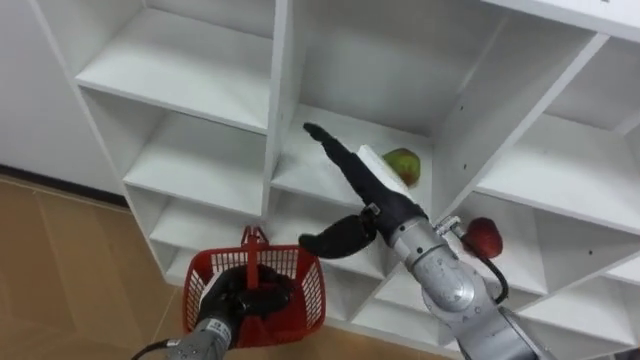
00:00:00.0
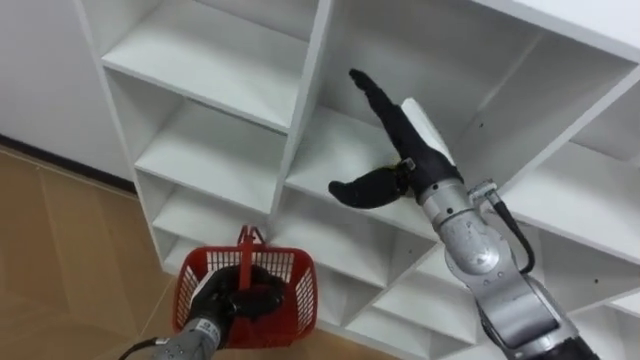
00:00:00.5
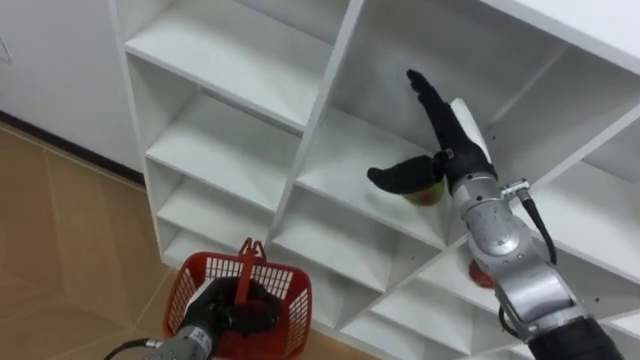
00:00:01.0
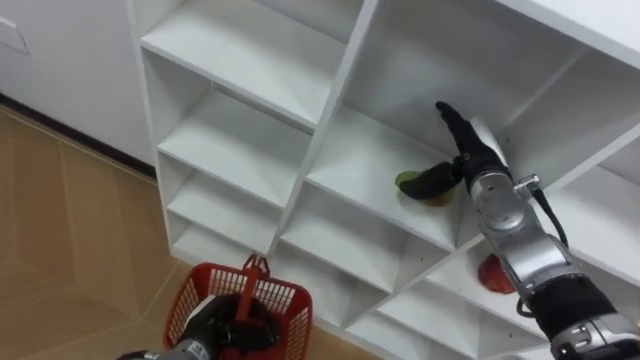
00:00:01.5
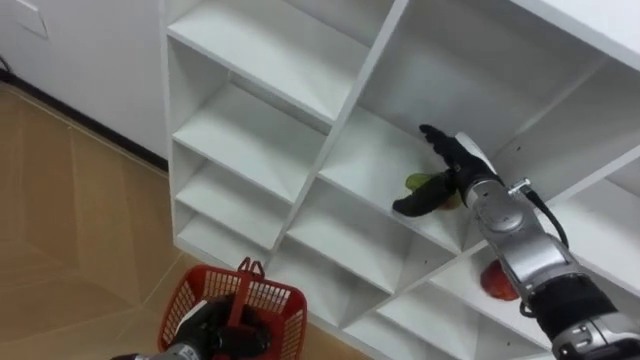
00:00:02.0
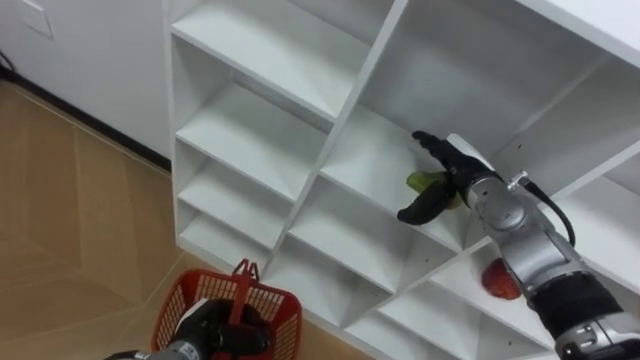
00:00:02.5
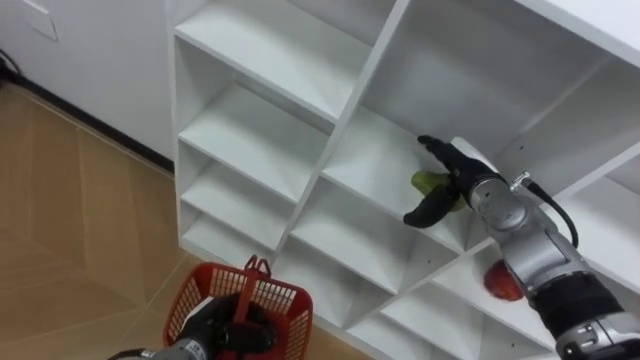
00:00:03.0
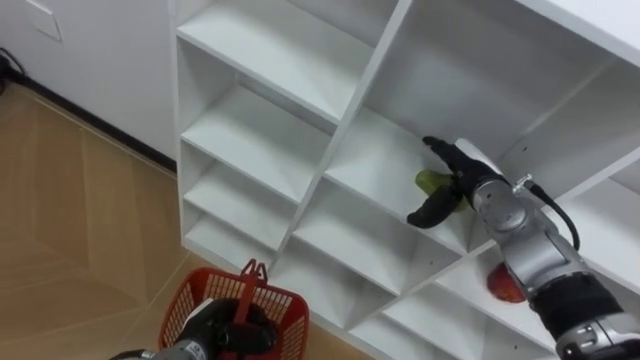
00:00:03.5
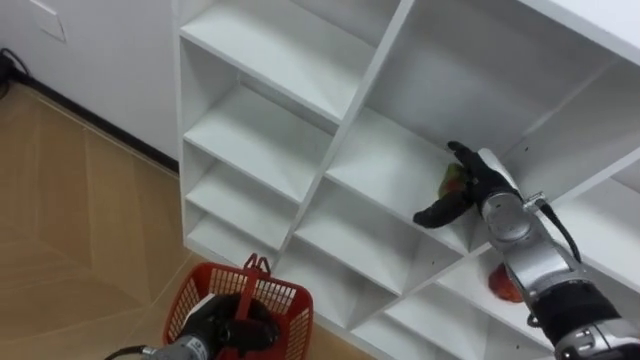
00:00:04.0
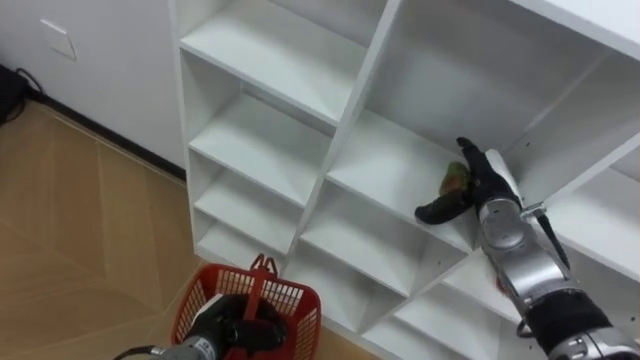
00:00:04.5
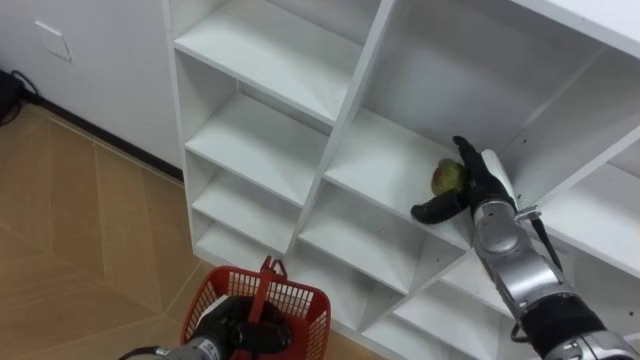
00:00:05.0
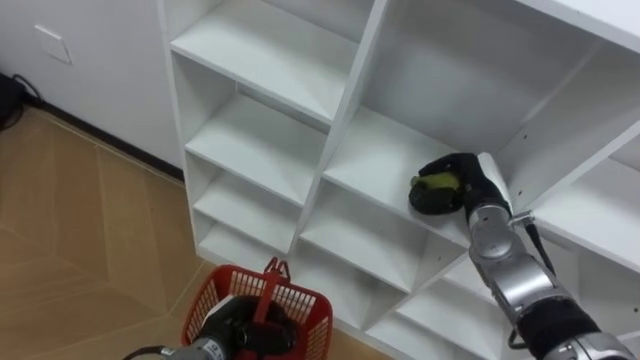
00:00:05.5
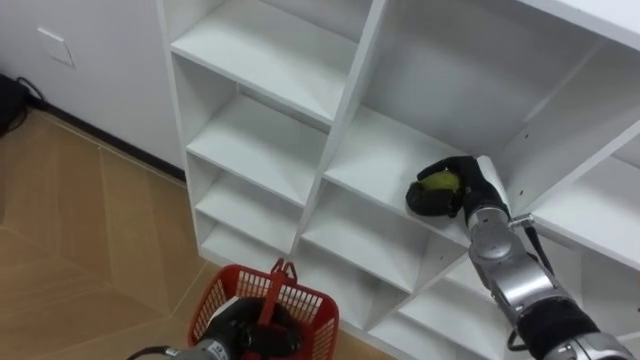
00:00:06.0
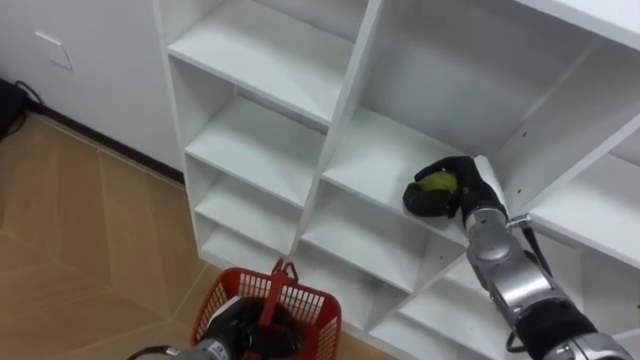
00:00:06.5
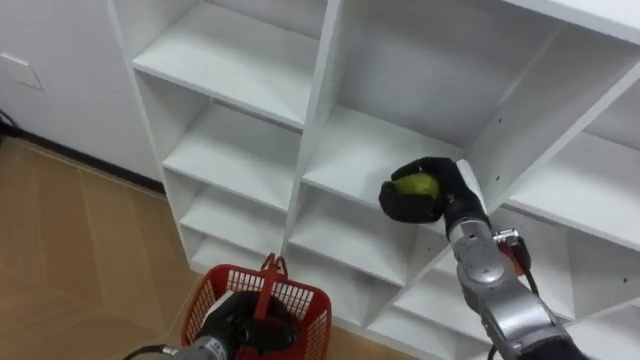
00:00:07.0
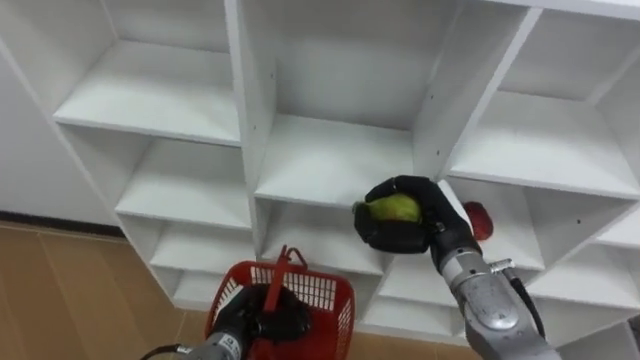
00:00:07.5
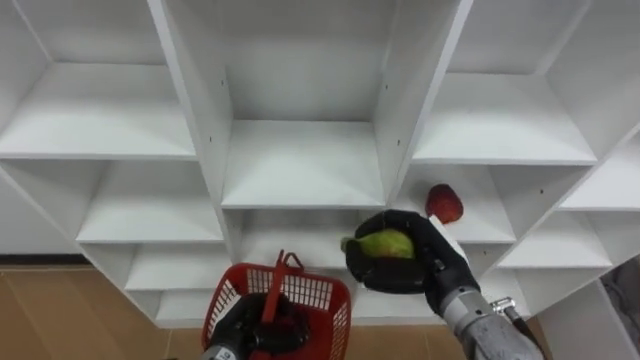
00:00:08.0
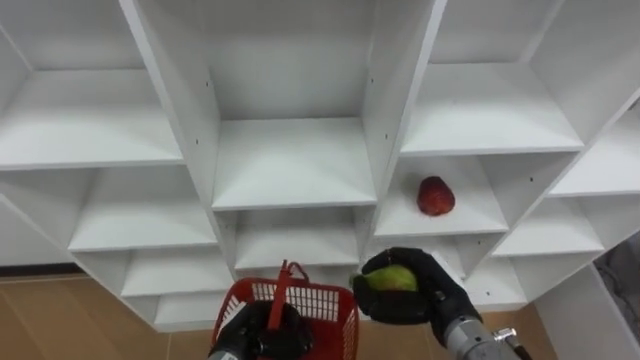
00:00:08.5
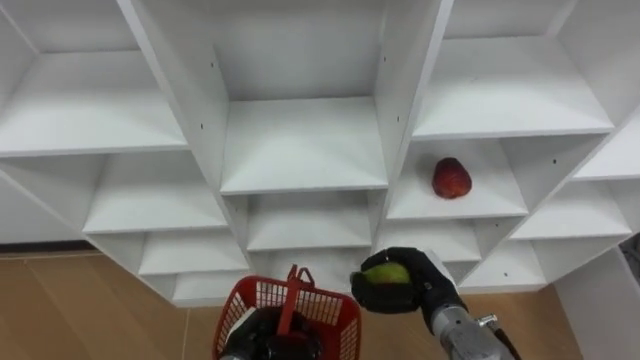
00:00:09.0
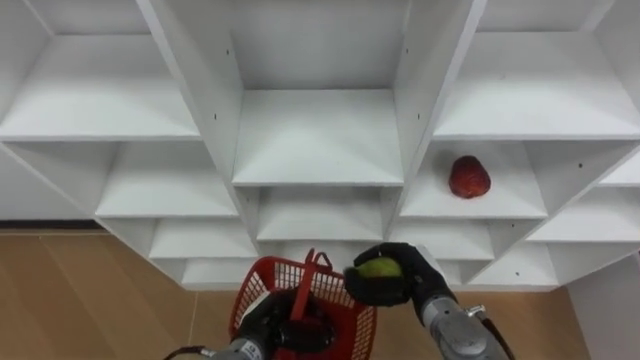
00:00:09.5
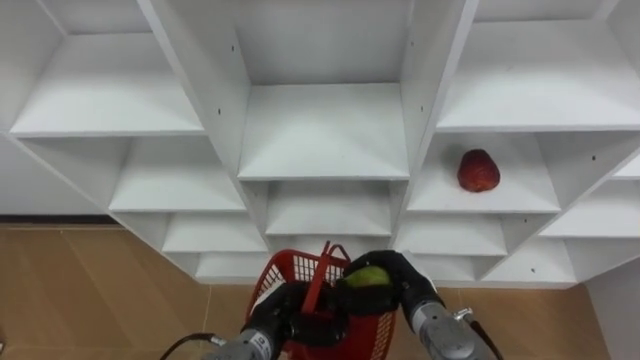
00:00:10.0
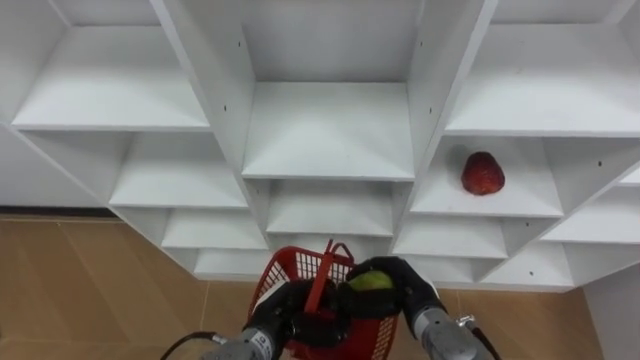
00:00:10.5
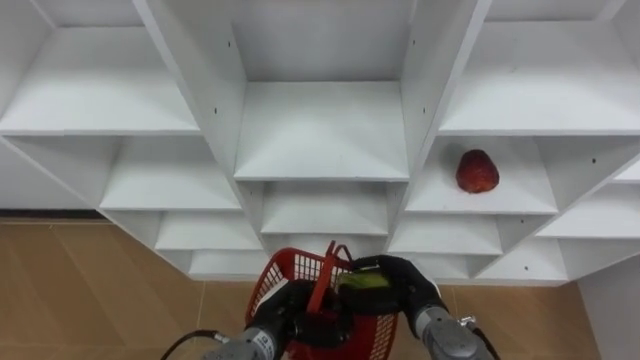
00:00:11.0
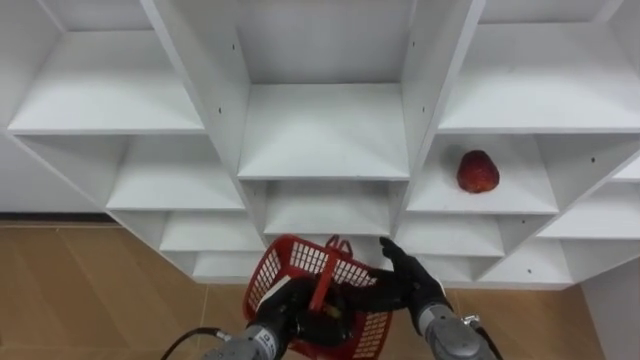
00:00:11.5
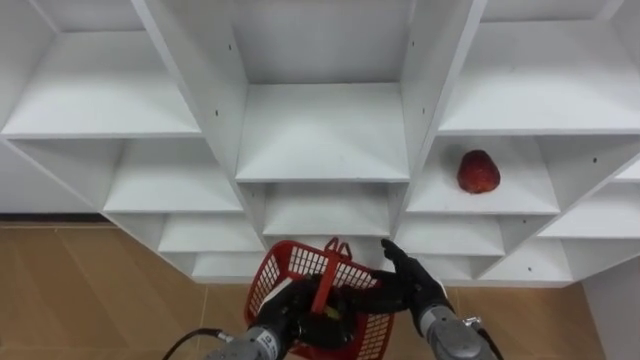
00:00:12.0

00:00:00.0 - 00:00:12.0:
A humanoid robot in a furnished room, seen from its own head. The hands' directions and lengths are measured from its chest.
Task of the whole recording: Hold the basket and collect the fruits from 3 different cells of the closet into it.
00:00:00.0 - 00:00:02.0: The left hand shifts by some 5 cm. Meanwhile the right hand is displaced to the right, forward and downward by some 15 cm.
00:00:04.0 - 00:00:06.0: The right hand closes its fingers.
00:00:06.0 - 00:00:08.0: The right hand heads backward and to the left, covering approximately 10 cm.
00:00:08.0 - 00:00:10.0: The left hand travels to the right by approximately 5 cm, while the right hand is displaced downward by some 10 cm.
00:00:10.0 - 00:00:12.0: The right hand opens its fingers.

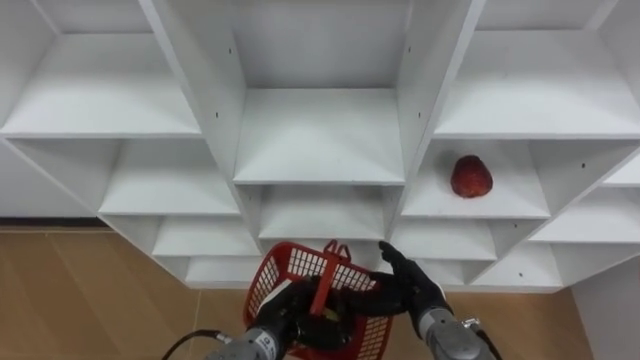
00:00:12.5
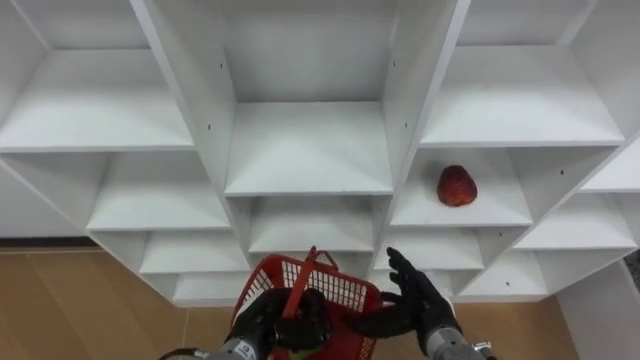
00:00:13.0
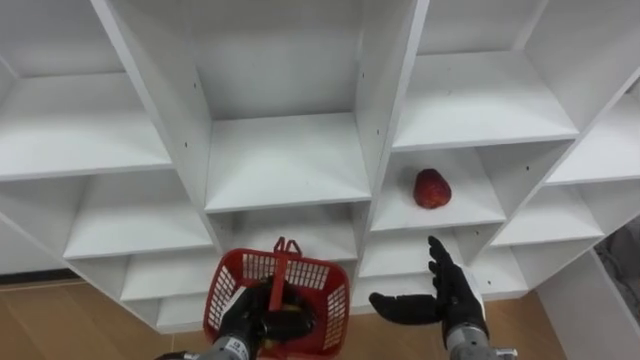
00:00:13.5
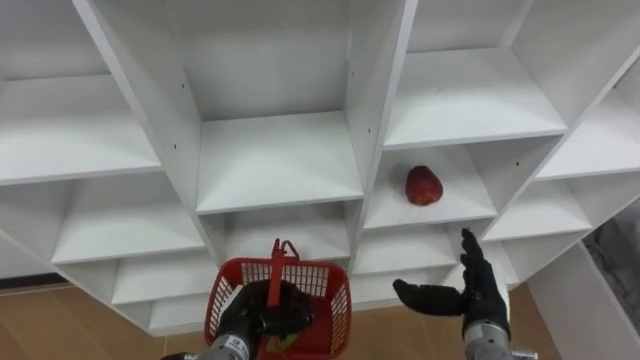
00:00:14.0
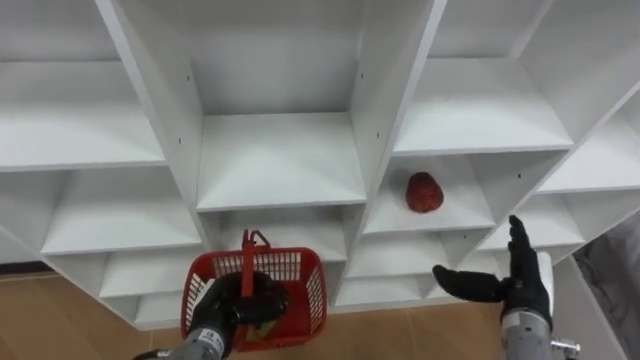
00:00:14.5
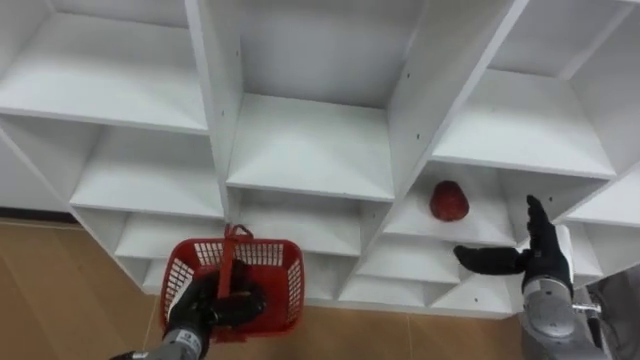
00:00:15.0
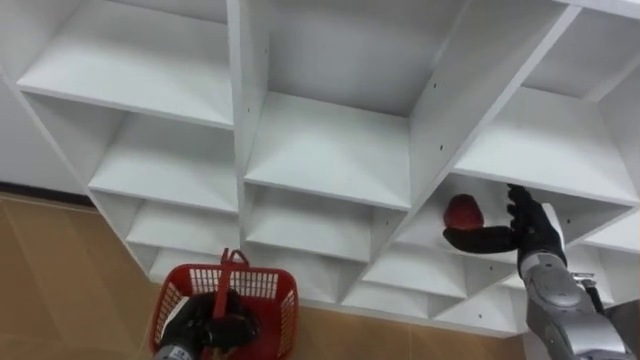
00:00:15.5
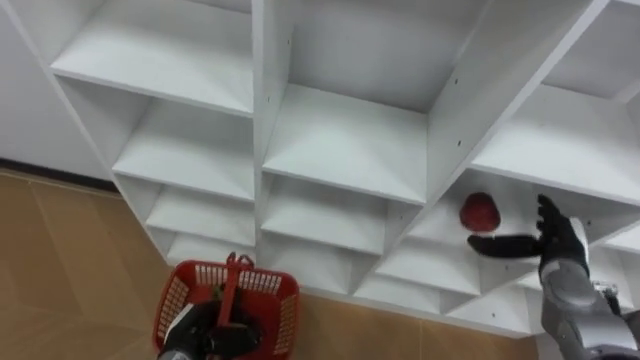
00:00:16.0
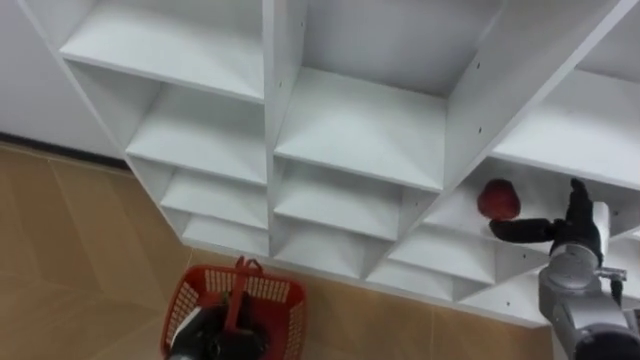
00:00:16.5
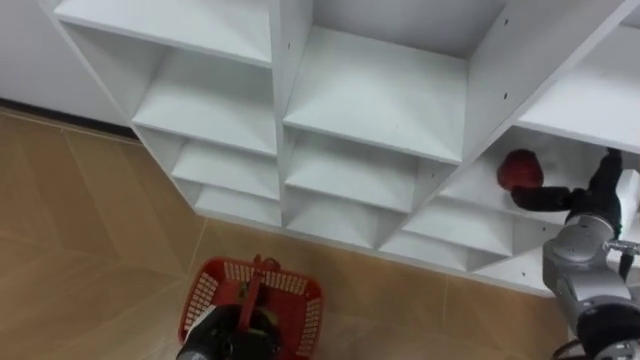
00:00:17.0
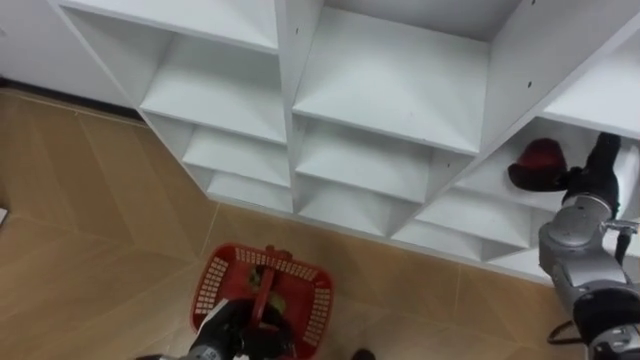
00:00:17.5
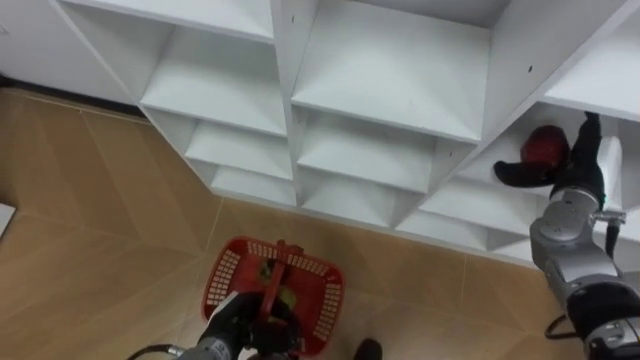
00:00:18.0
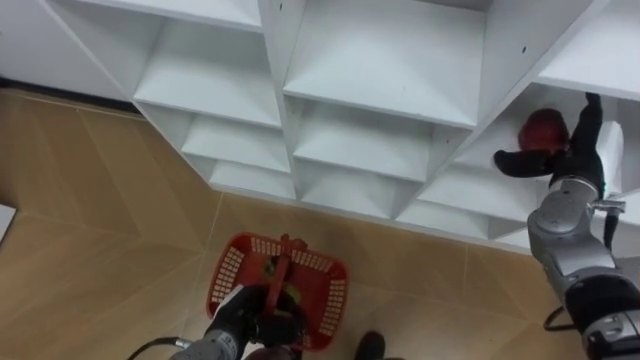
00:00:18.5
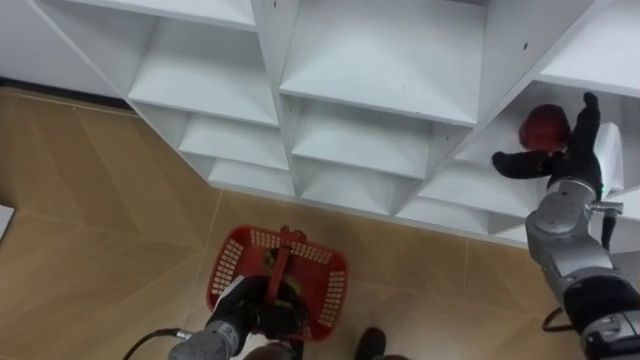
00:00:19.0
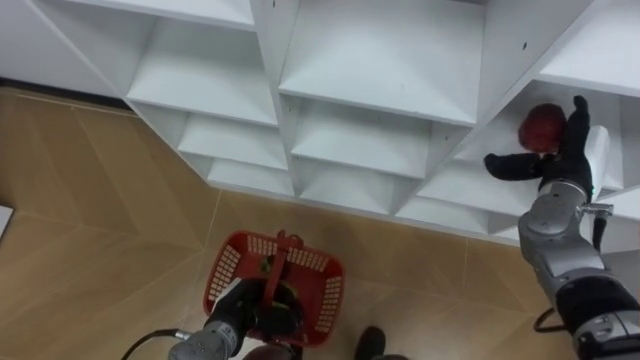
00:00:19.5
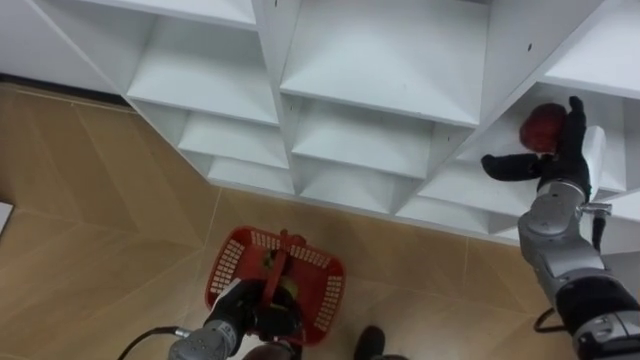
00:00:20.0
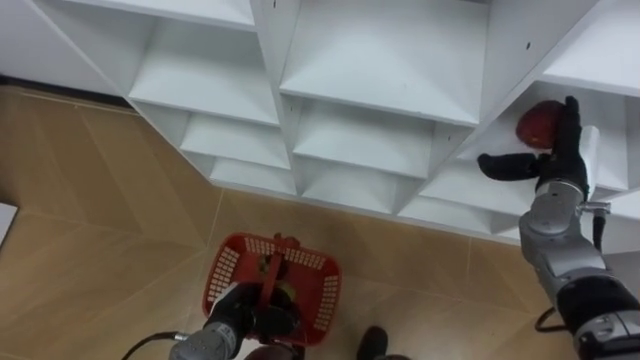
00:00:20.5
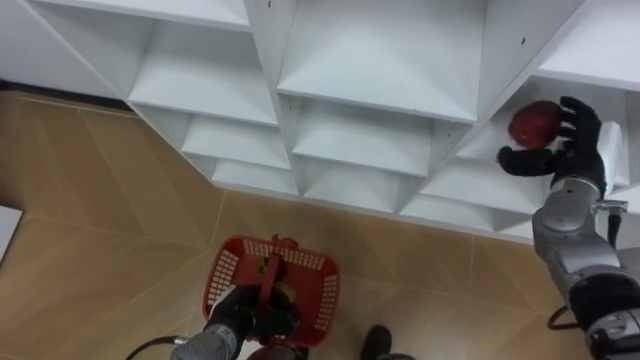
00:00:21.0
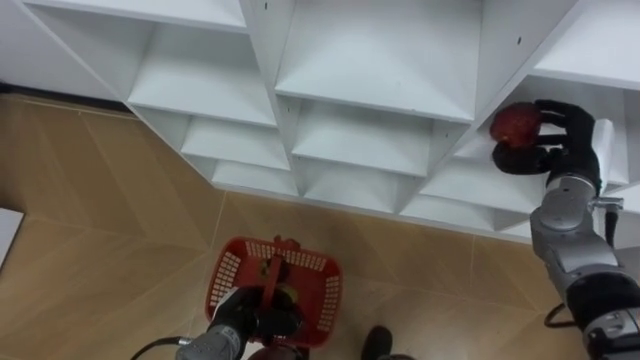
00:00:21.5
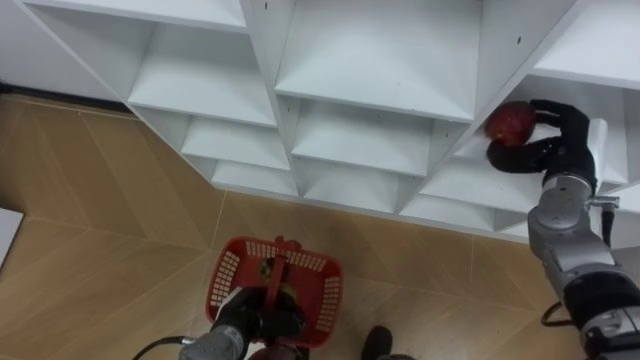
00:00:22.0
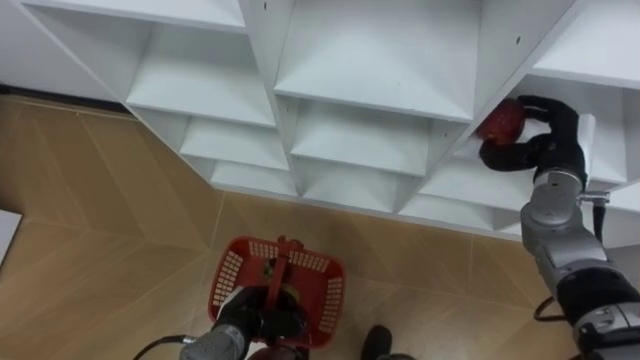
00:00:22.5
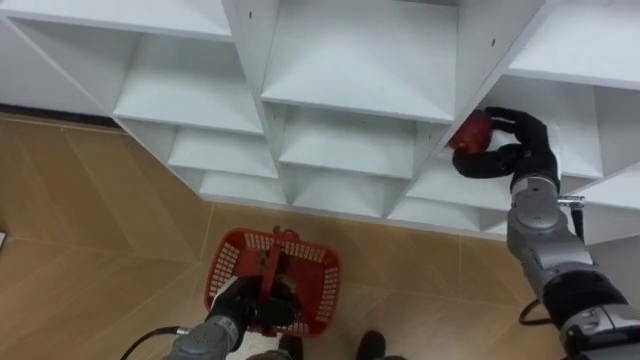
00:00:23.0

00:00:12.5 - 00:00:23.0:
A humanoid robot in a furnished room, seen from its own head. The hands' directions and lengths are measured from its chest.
Task of the whole recording: Hold the basket and collect the fruits from 3 different cells of the closet into it.
00:00:12.5 - 00:00:14.5: The right hand is displaced to the right and upward by approximately 15 cm, while the left hand heads to the left, covering about 10 cm.
00:00:14.5 - 00:00:16.5: The right hand travels to the right and forward by roughly 10 cm; the left hand ends up about 5 cm from where it was.
00:00:16.5 - 00:00:19.0: The left hand heads to the right, covering approximately 5 cm. The right hand heads upward and forward, covering roughly 10 cm.
00:00:19.0 - 00:00:21.0: The hands make only small movements.
00:00:21.0 - 00:00:23.0: The right hand closes.
